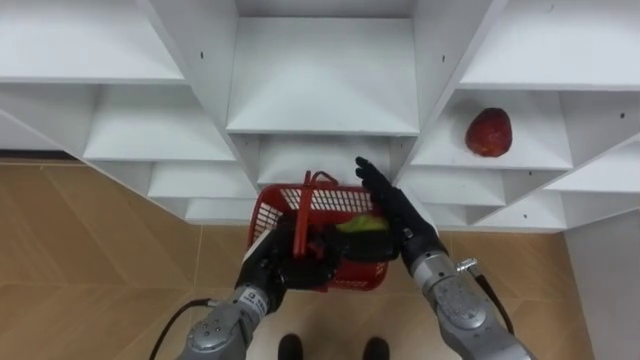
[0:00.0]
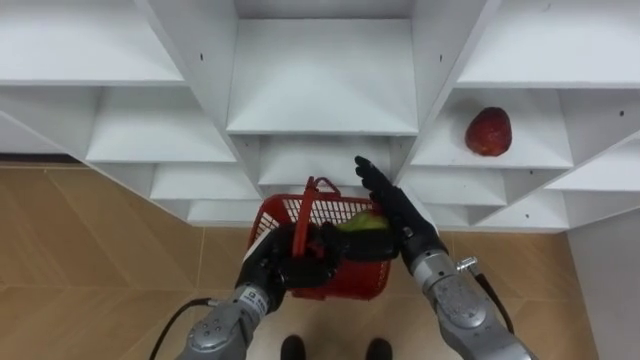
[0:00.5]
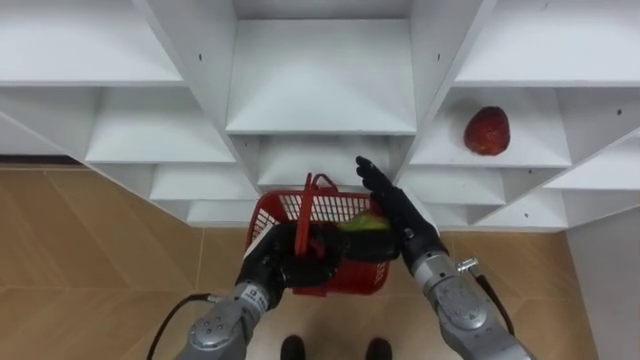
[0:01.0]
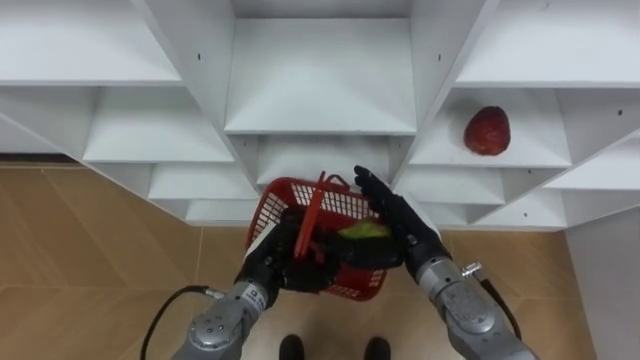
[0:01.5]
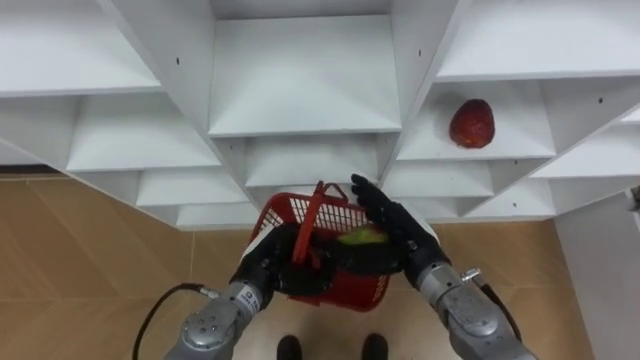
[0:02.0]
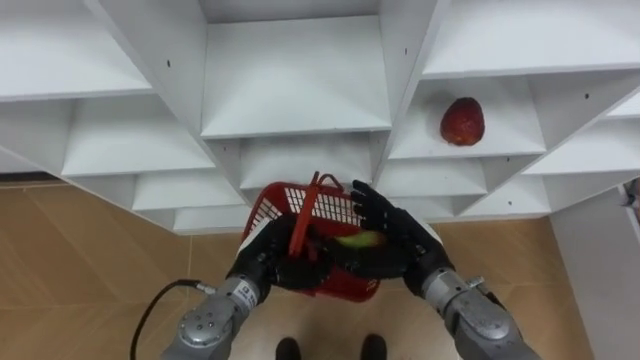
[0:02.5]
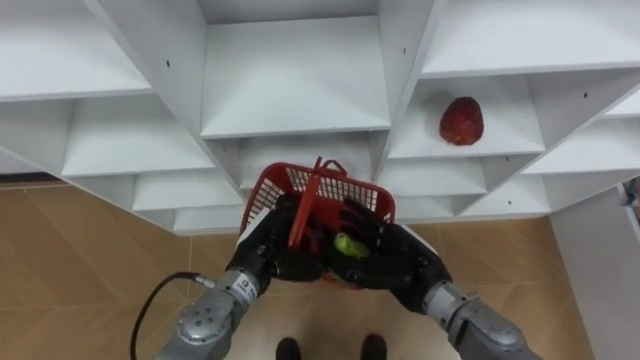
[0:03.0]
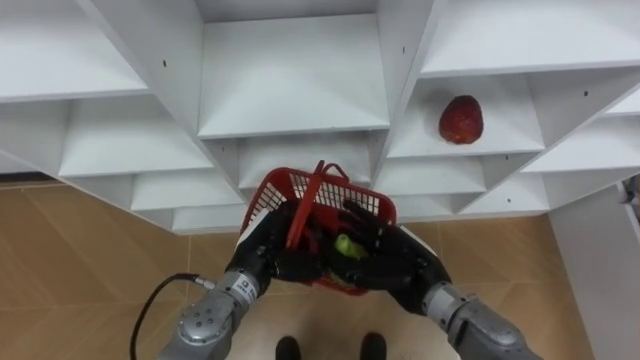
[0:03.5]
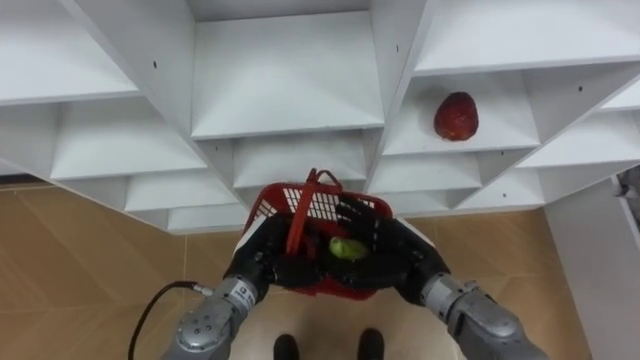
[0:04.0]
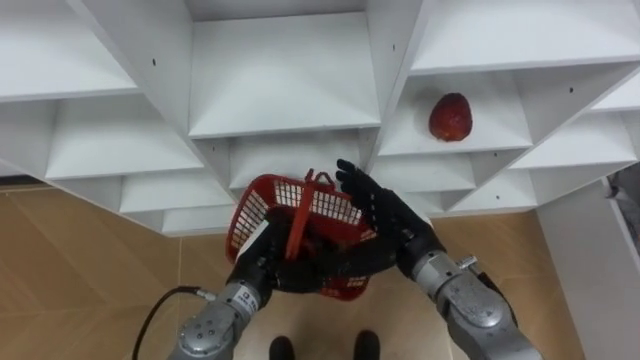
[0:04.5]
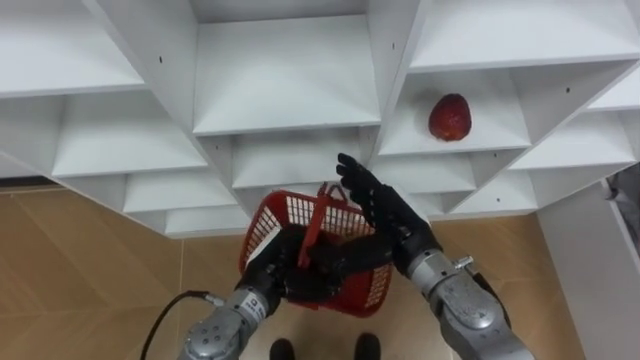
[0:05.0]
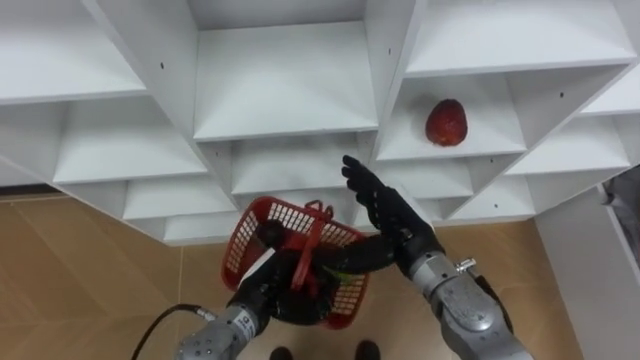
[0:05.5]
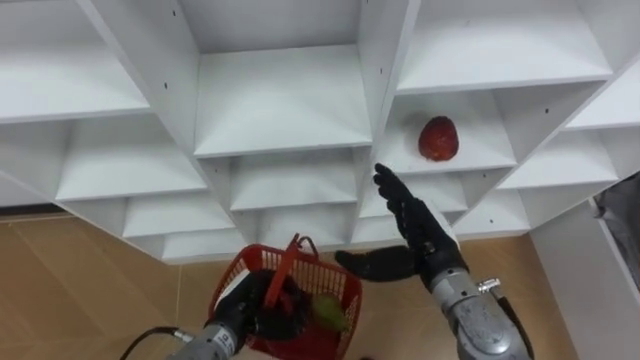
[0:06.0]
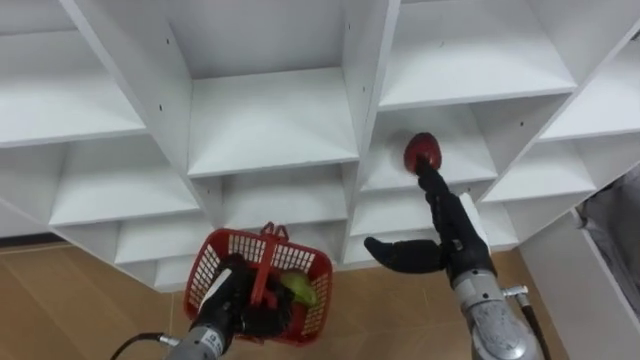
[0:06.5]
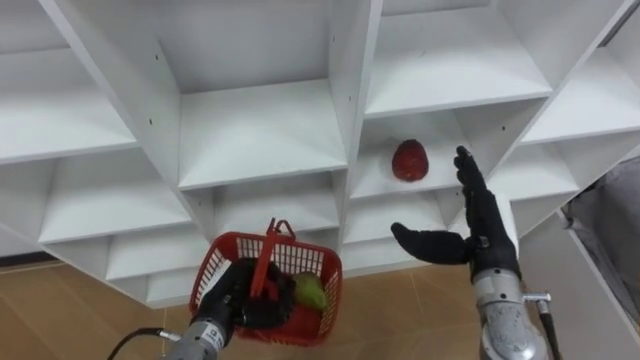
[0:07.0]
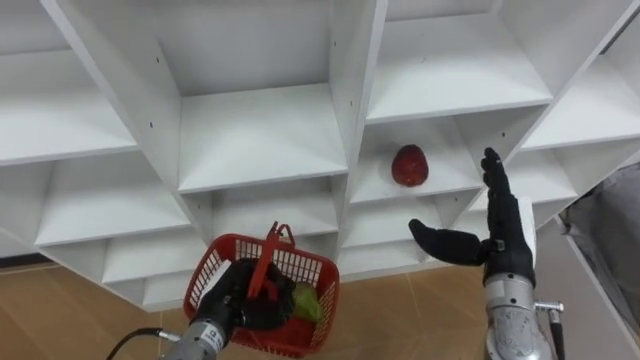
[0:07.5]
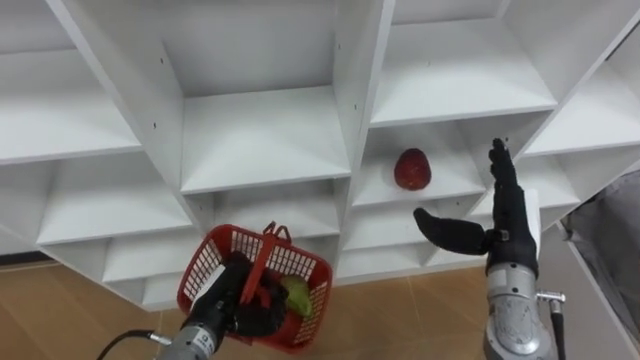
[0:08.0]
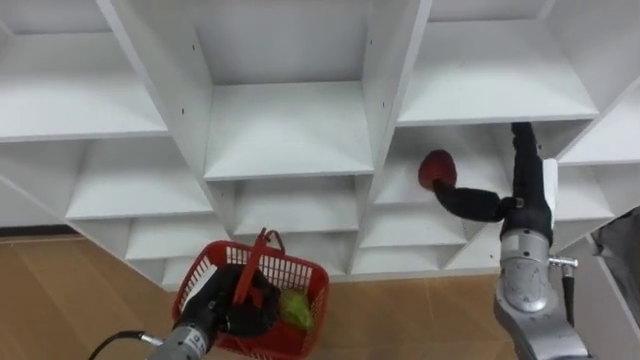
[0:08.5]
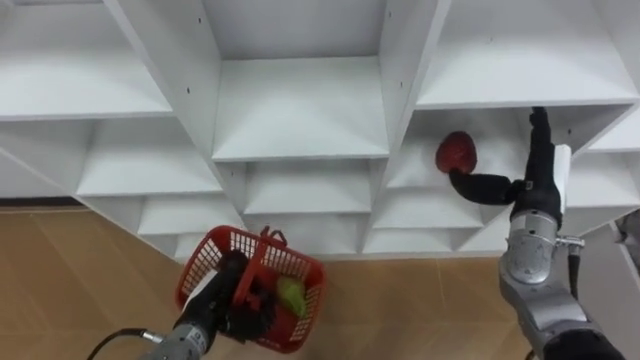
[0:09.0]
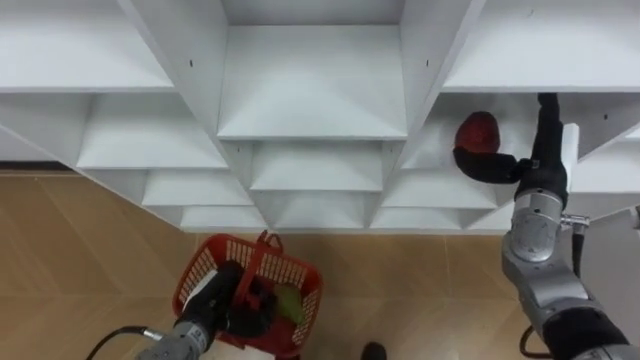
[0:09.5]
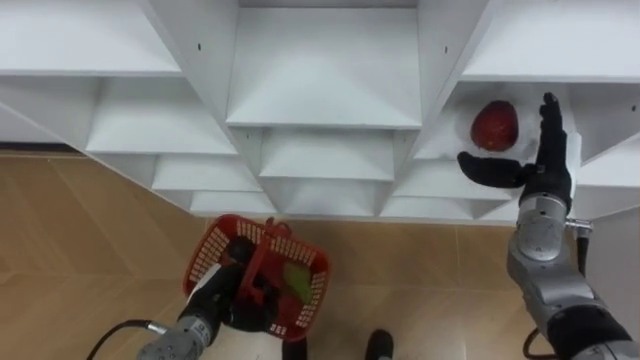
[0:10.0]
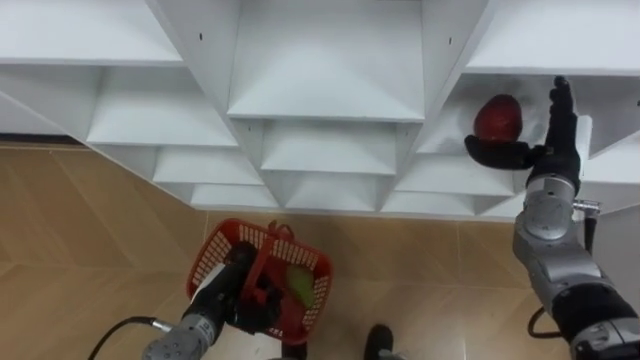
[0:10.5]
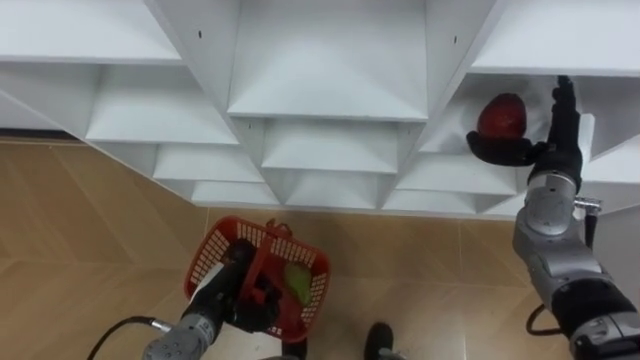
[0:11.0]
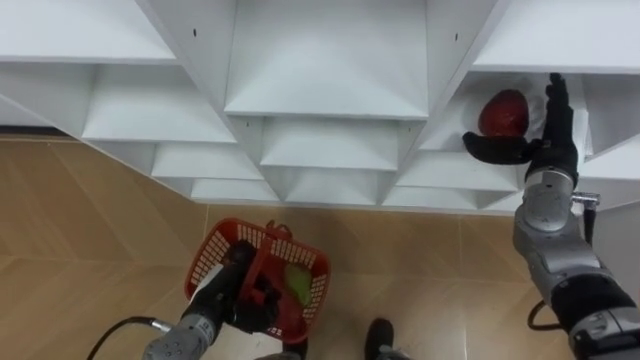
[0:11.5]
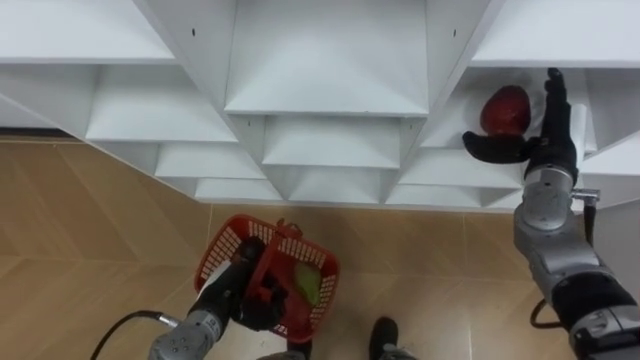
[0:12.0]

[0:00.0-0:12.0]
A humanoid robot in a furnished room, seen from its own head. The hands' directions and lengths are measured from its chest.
Task of the whole recording: Hold the basket and collect the fruits from 3 different cells of the closet into it.
0:04.0 to 0:06.0: The left hand shifts about 5 cm downward.
0:06.0 to 0:08.0: The right hand moves to the right, roughly 10 cm.
0:08.0 to 0:10.0: The right hand is displaced forward and to the right by some 10 cm.

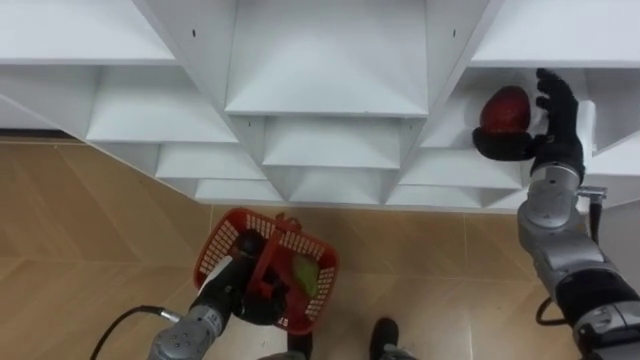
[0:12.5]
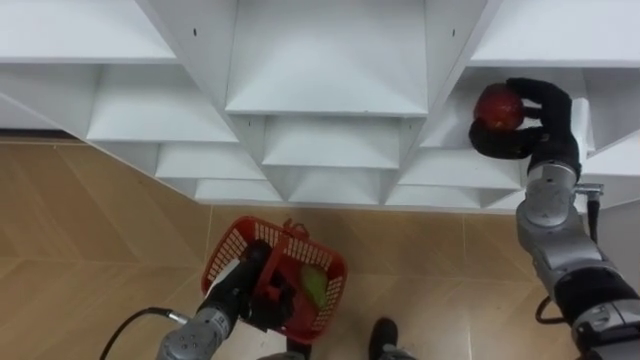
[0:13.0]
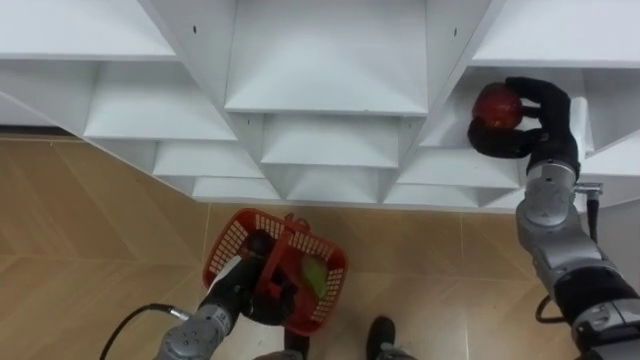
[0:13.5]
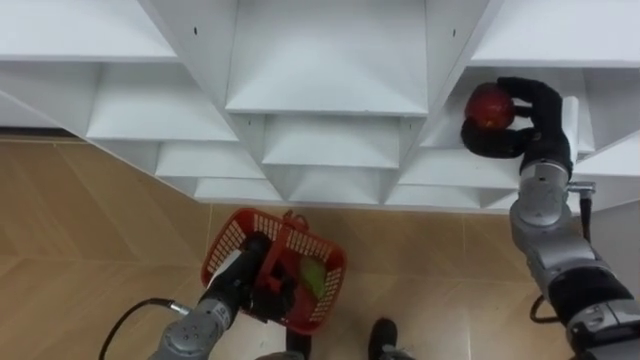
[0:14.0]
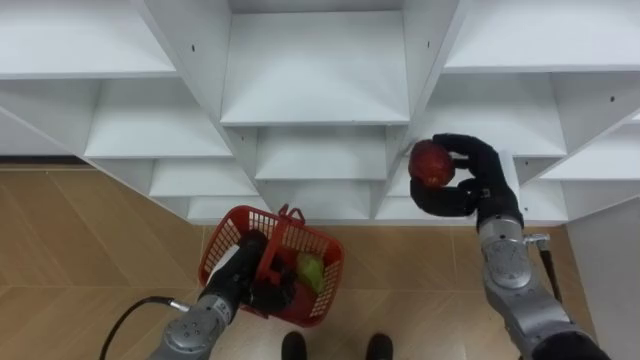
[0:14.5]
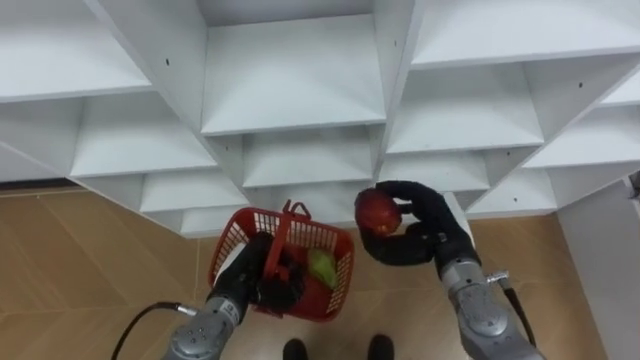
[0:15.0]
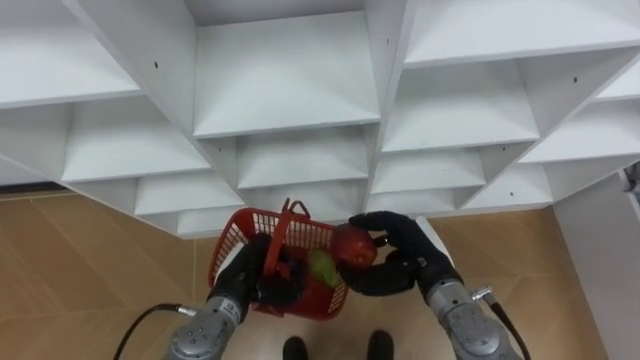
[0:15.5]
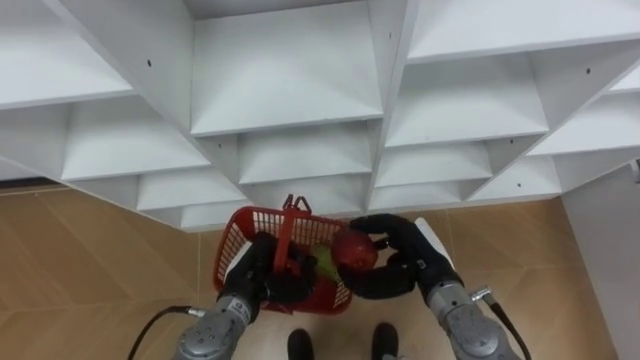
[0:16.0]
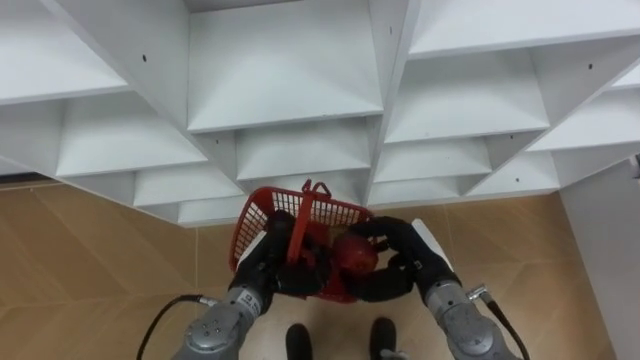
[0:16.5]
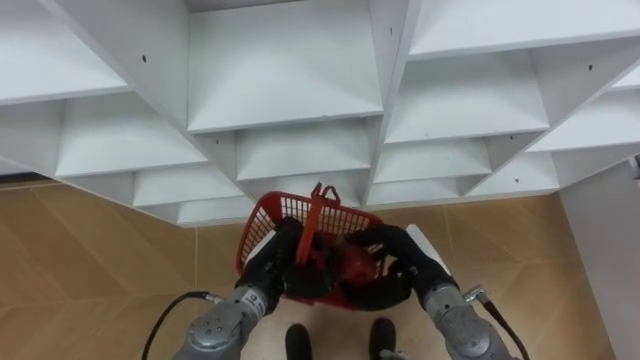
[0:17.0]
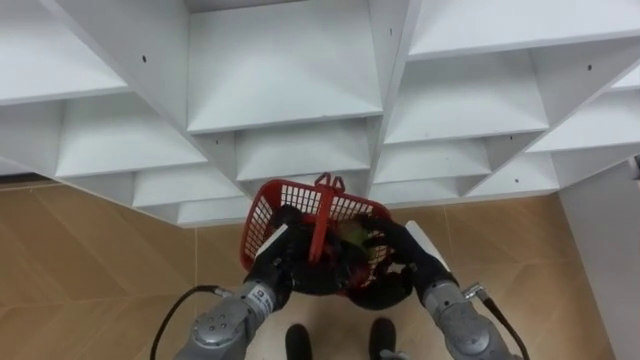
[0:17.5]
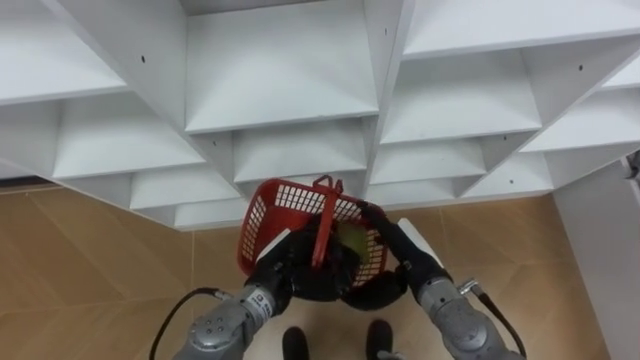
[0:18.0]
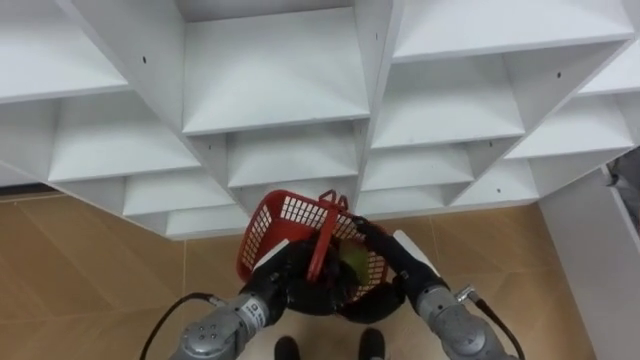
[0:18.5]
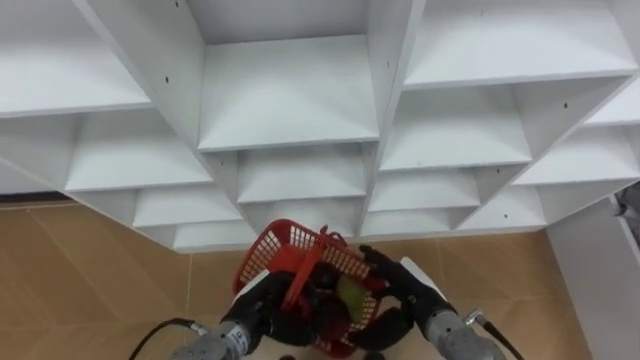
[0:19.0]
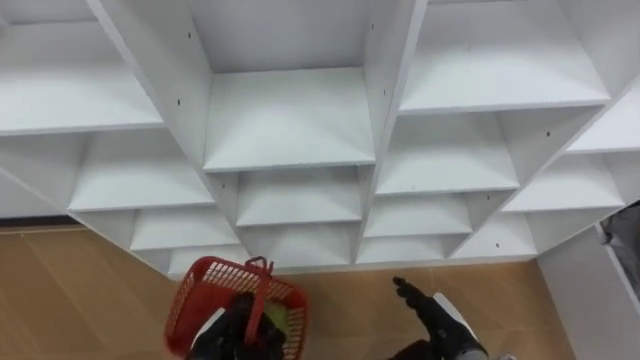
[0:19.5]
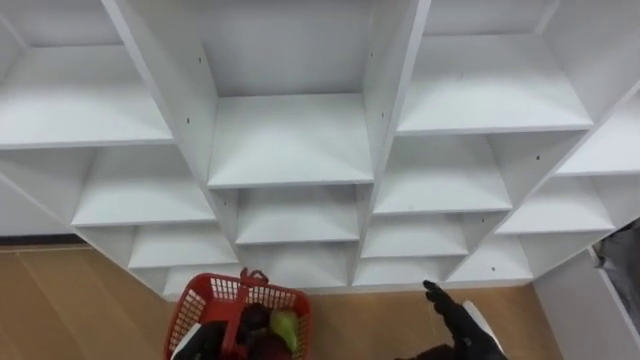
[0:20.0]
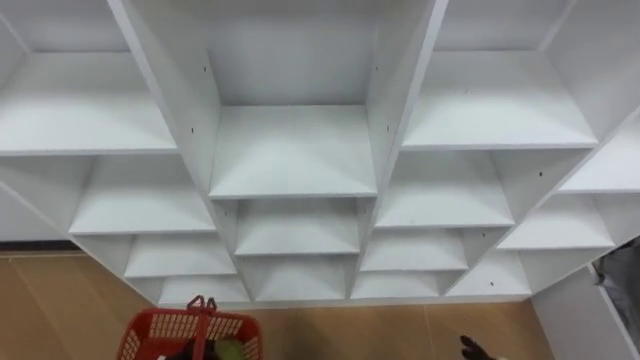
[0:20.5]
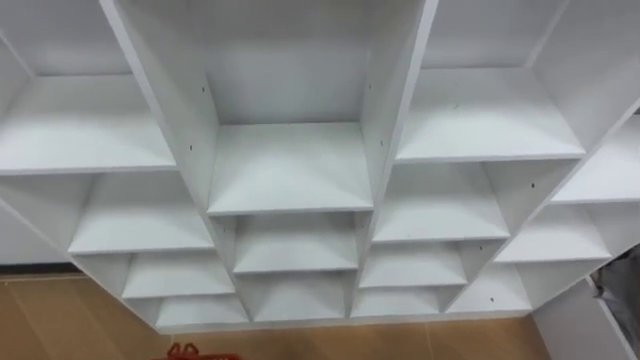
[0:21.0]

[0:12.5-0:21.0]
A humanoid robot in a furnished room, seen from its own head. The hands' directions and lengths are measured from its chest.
Task of the whole recording: Hold the basket and collect the fruits from 3 different cells of the closet into it.
0:12.5 to 0:14.5: The right hand moves to the left and downward, some 10 cm.
0:14.5 to 0:16.5: The right hand is displaced to the left, backward and downward by roughly 15 cm, while the left hand ends up about 5 cm from where it was.
0:16.5 to 0:19.0: The right hand ends up about 5 cm from where it was, and opens up; the left hand changes place by roughly 5 cm.
